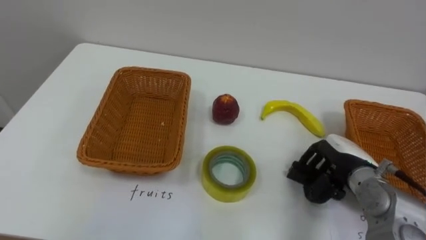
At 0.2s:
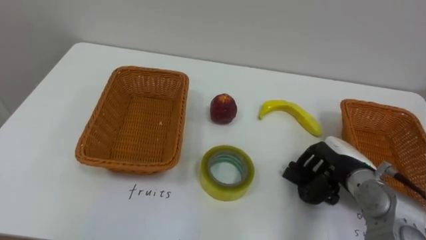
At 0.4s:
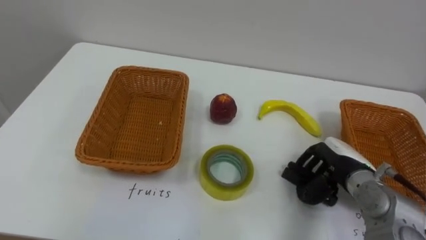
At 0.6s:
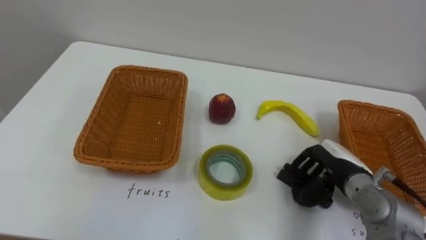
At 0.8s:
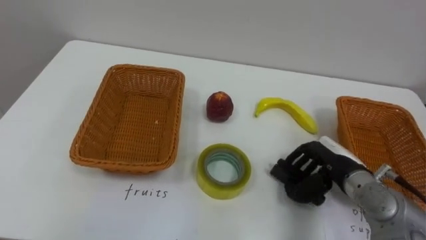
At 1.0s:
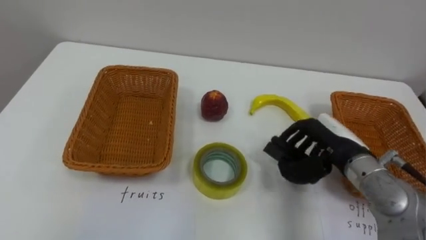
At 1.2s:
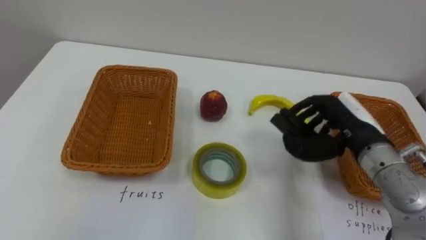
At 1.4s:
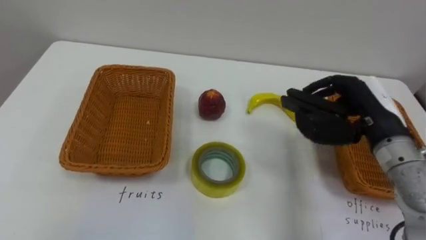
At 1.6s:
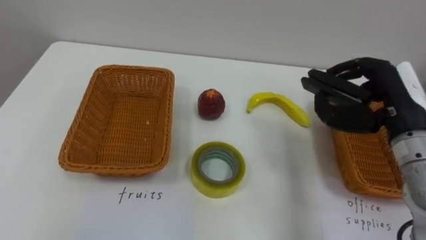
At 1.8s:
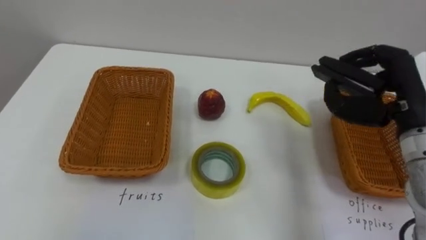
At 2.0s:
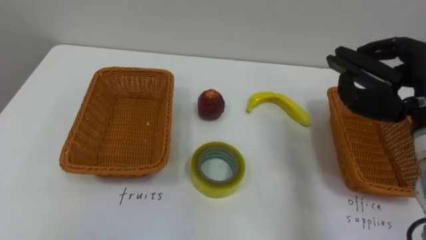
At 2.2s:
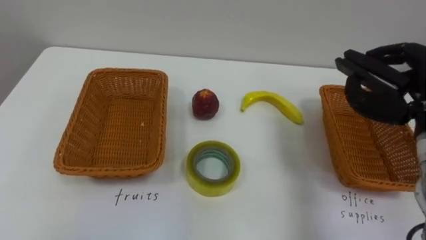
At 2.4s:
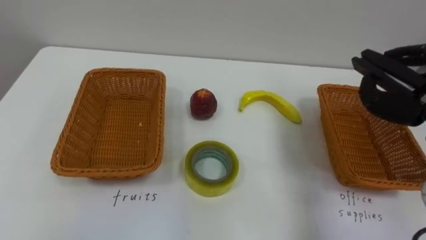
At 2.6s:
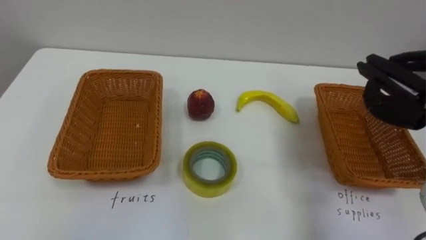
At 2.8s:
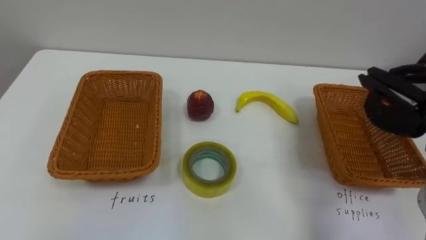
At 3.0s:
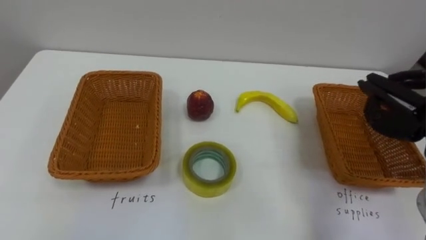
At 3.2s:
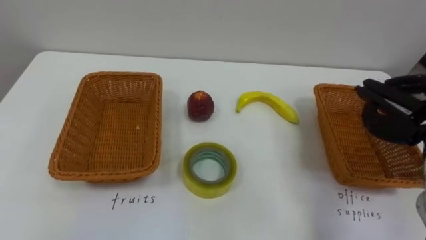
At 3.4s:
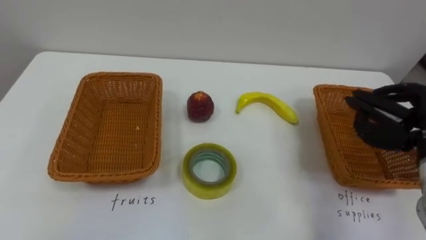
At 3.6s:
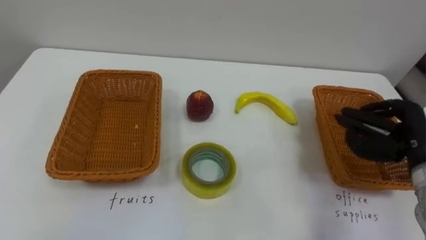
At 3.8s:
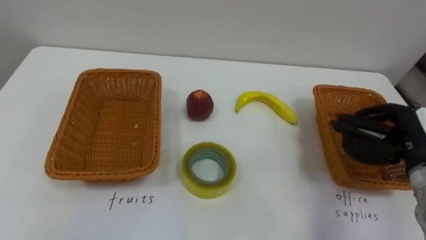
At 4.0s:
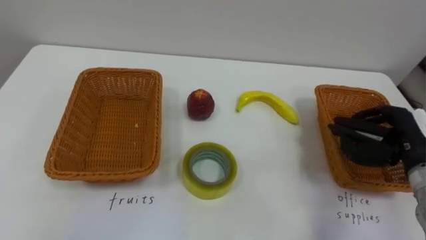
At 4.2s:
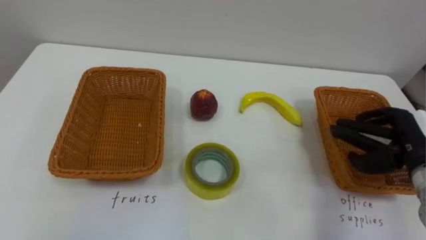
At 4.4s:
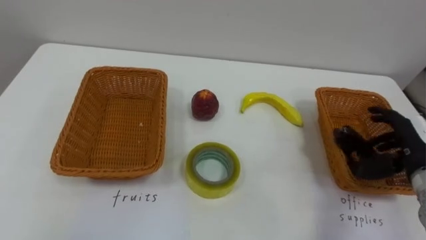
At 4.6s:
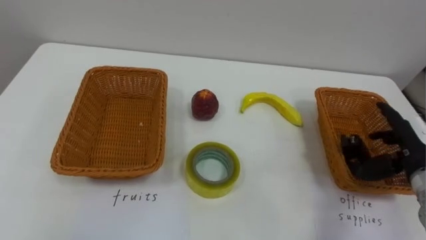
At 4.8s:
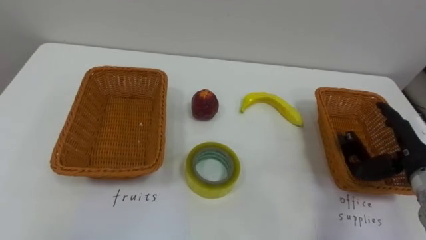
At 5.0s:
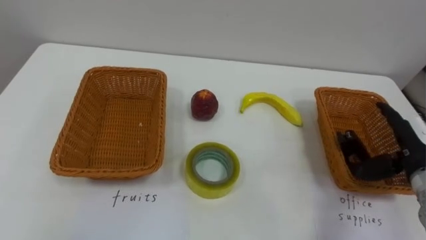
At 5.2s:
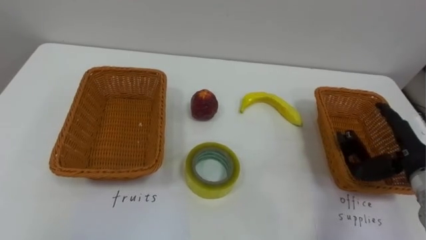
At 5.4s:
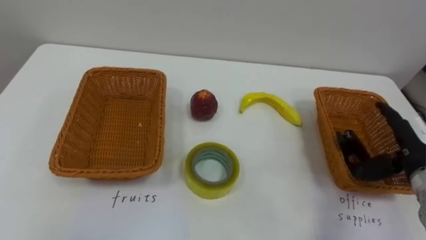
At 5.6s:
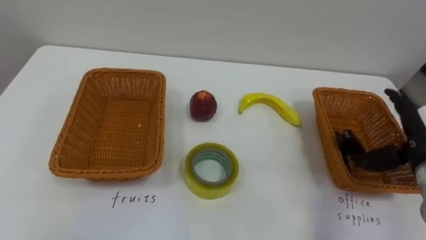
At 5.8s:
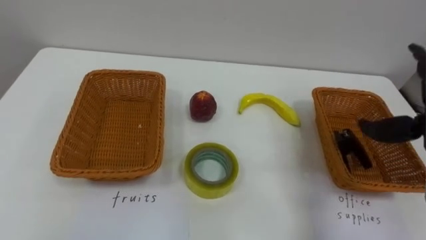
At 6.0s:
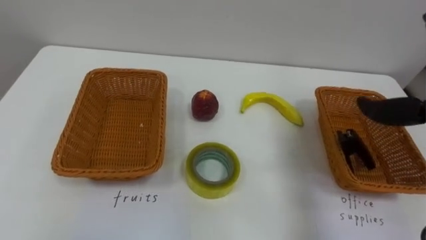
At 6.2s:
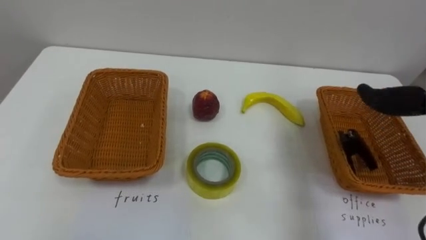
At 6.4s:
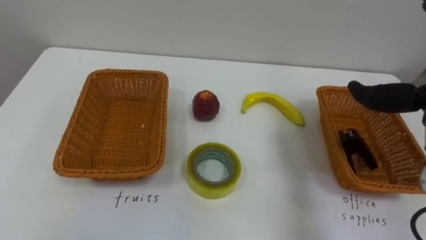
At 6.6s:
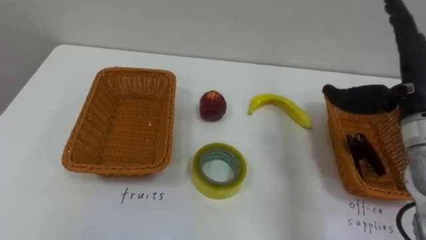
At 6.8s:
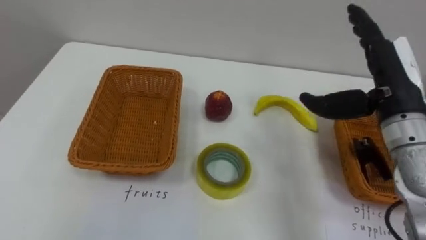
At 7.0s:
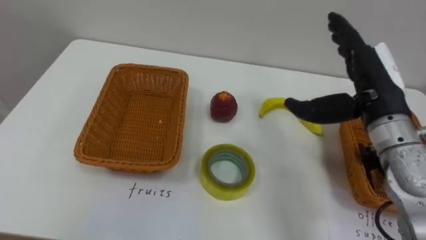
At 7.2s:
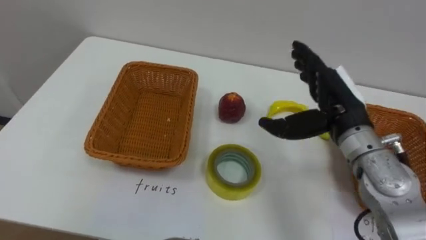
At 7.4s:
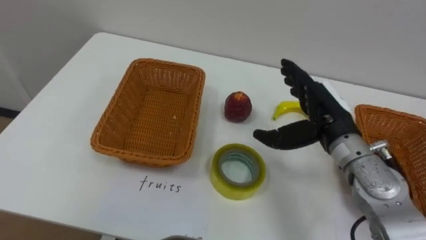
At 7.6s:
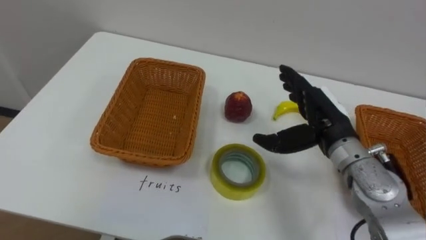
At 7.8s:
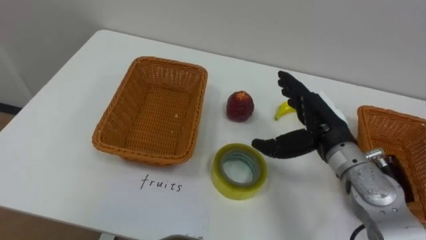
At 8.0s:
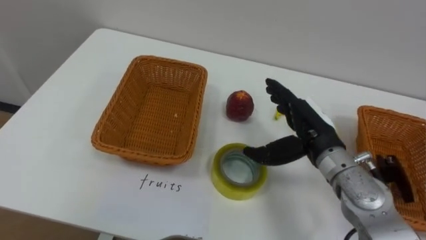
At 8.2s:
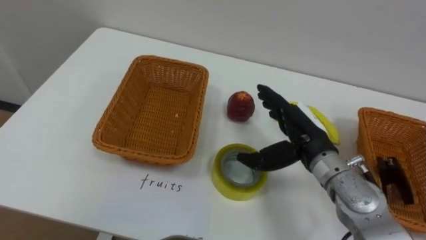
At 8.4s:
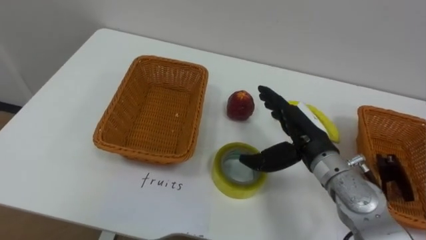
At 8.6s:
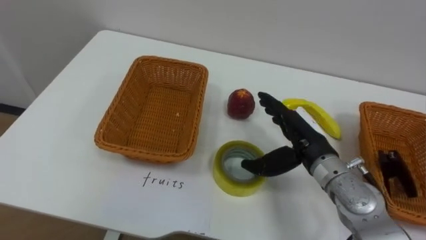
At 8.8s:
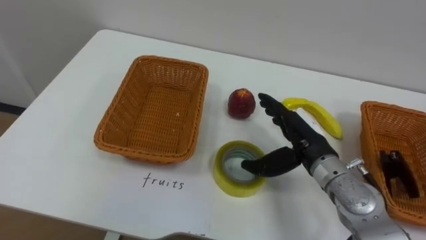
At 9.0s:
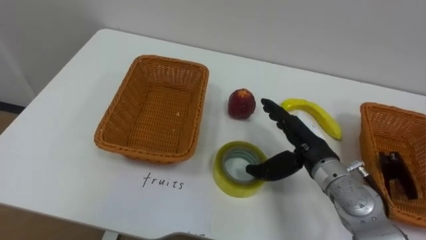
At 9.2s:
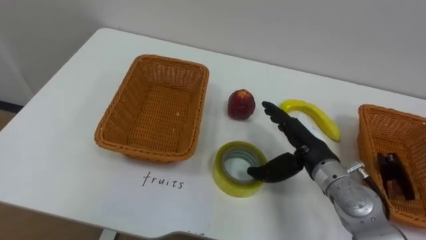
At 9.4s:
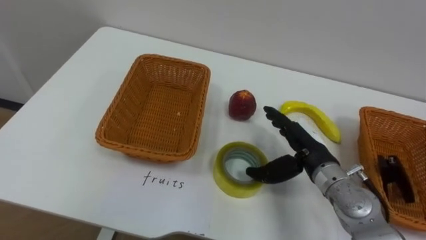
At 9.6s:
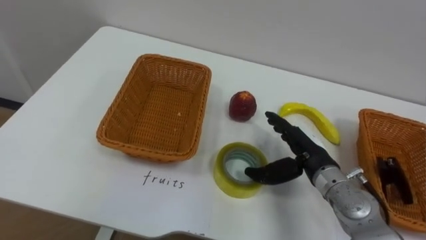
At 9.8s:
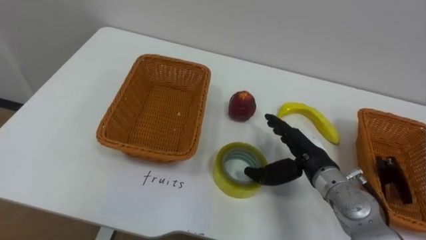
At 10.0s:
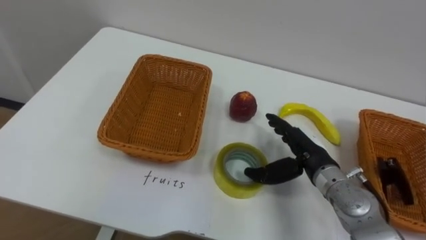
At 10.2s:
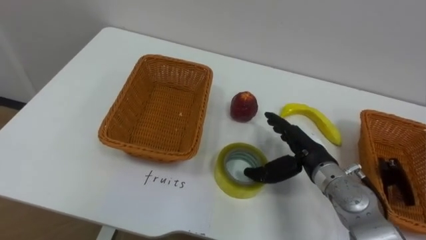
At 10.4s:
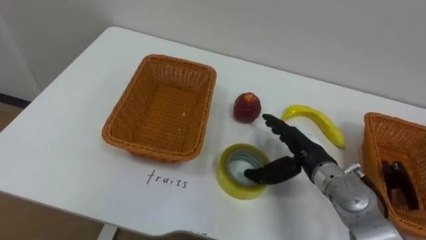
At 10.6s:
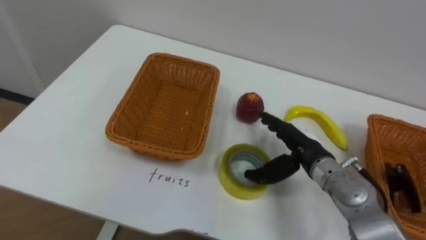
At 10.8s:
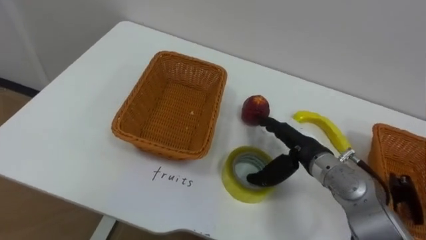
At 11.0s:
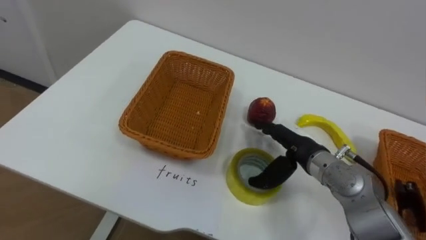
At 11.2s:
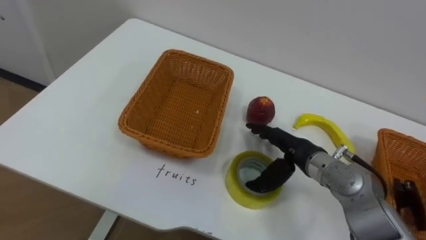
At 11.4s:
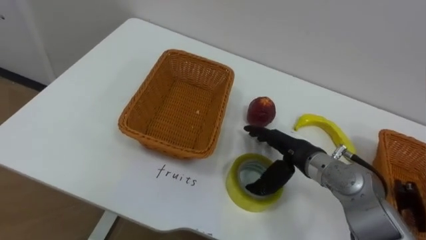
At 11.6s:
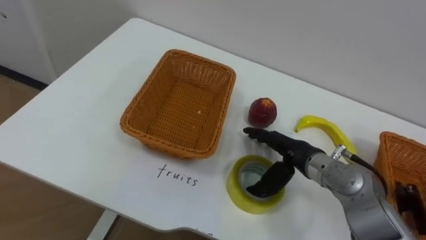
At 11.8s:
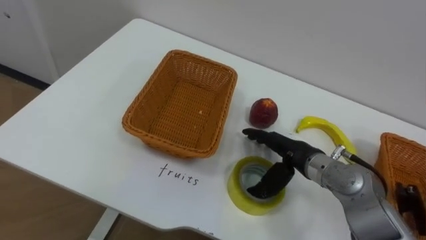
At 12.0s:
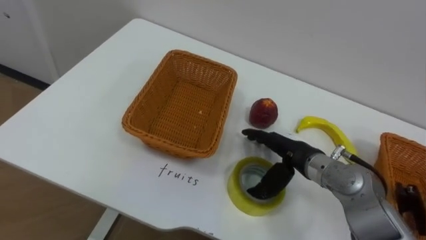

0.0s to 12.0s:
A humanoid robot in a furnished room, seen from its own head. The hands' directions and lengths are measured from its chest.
Task of the whole recording: Separate the items on the table and place them into the two baskets.
0.0s to 1.6s: The right hand is displaced upward by approximately 15 cm.
7.6s to 9.0s: The right hand changes place by roughly 5 cm.

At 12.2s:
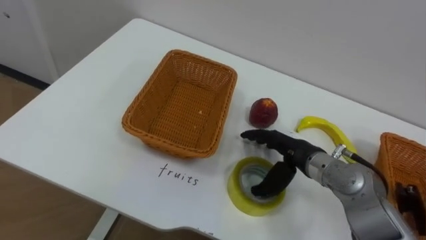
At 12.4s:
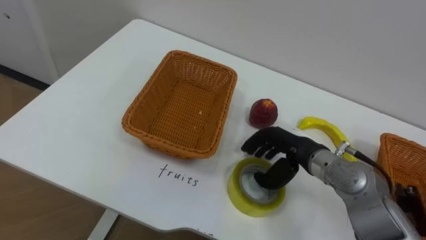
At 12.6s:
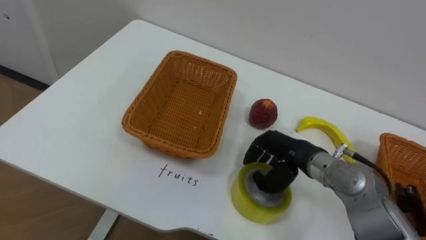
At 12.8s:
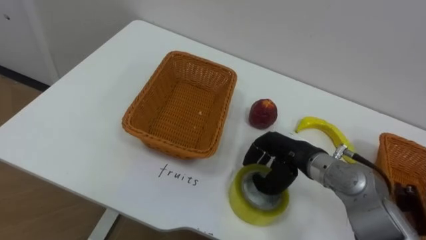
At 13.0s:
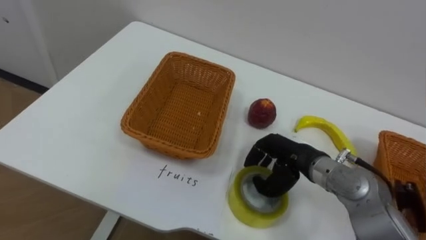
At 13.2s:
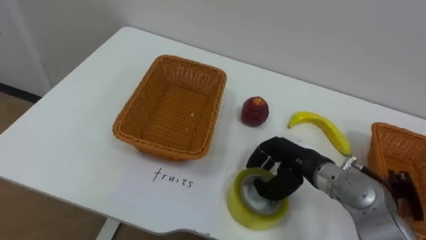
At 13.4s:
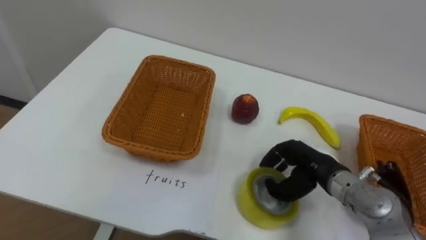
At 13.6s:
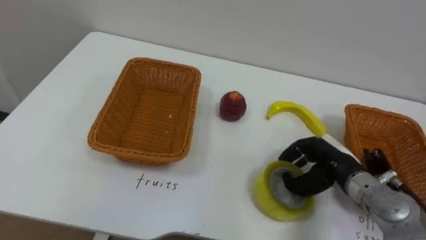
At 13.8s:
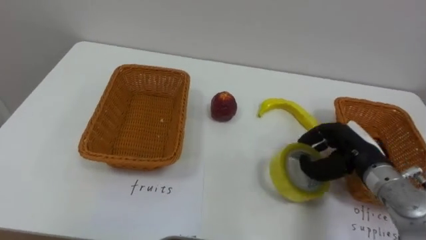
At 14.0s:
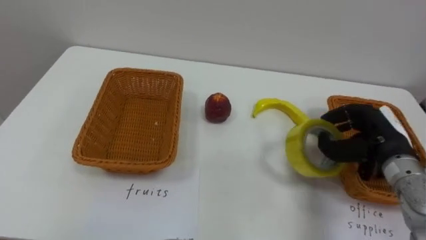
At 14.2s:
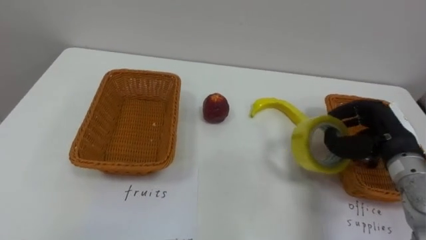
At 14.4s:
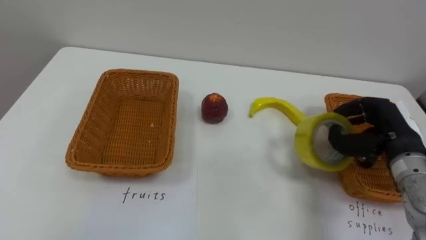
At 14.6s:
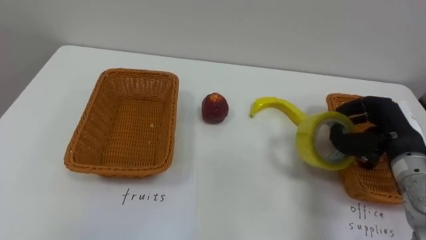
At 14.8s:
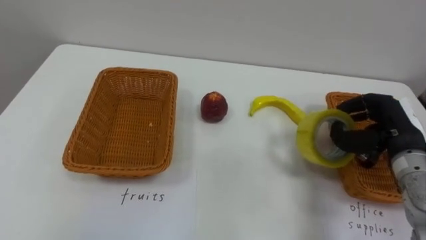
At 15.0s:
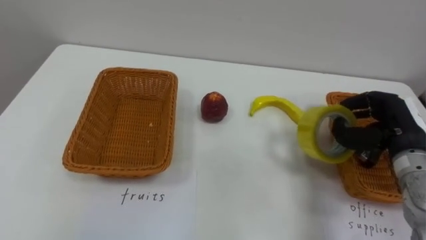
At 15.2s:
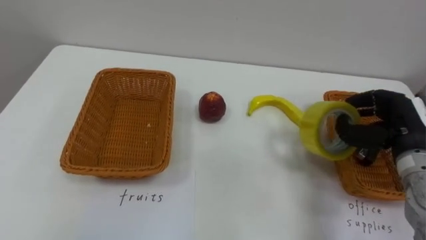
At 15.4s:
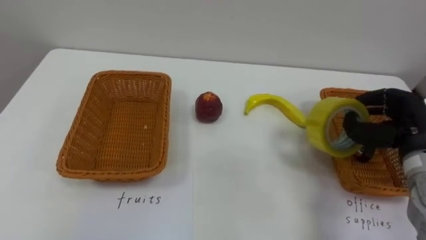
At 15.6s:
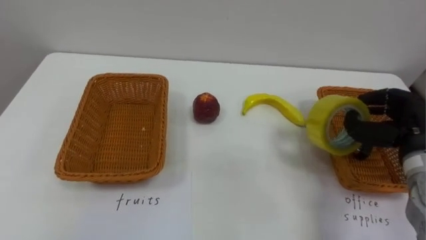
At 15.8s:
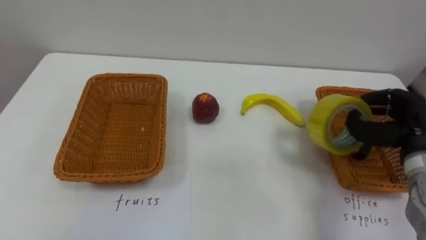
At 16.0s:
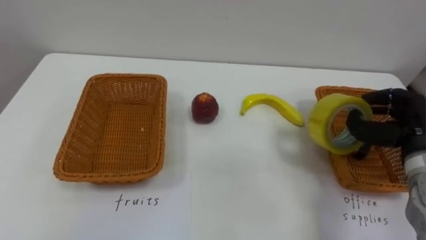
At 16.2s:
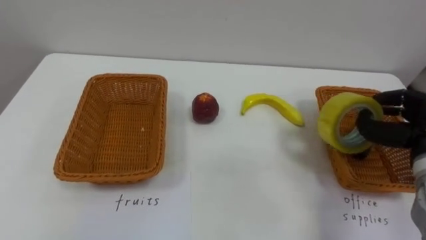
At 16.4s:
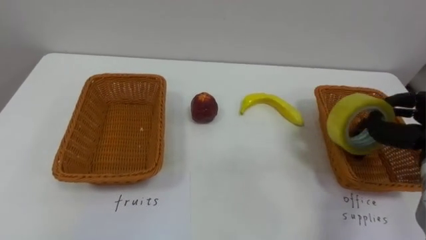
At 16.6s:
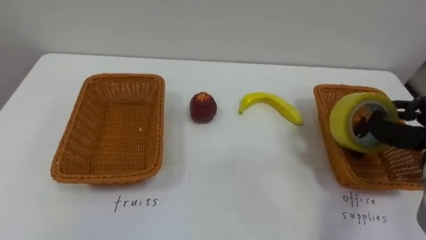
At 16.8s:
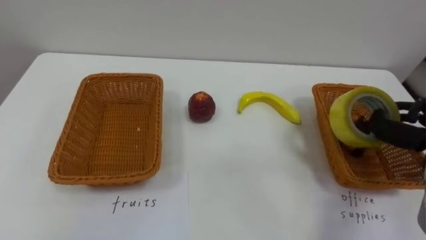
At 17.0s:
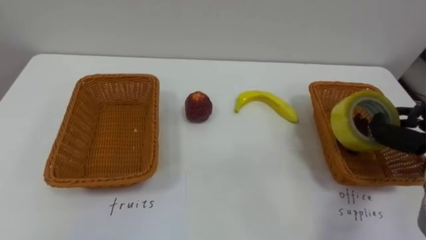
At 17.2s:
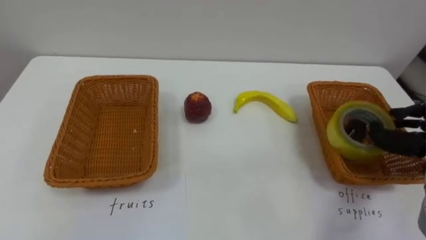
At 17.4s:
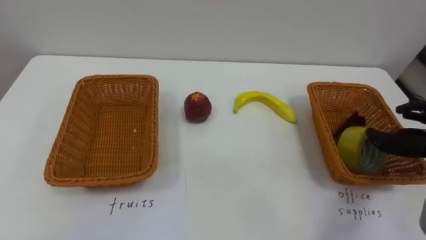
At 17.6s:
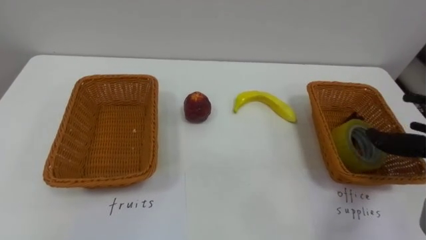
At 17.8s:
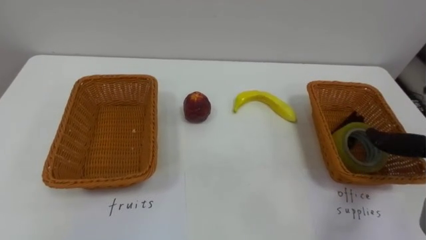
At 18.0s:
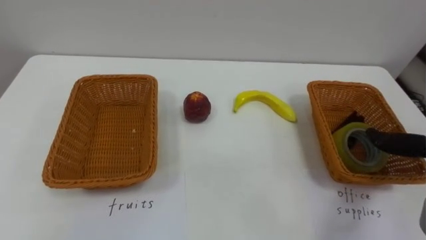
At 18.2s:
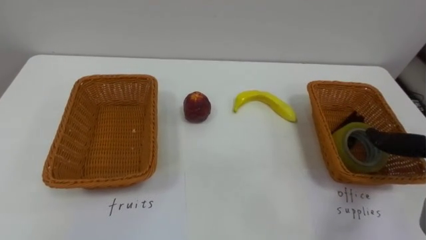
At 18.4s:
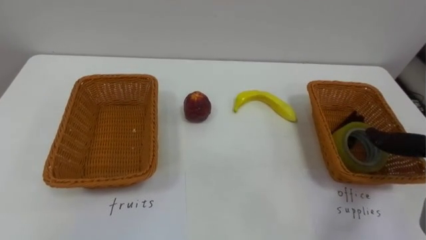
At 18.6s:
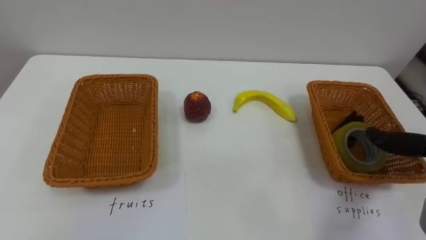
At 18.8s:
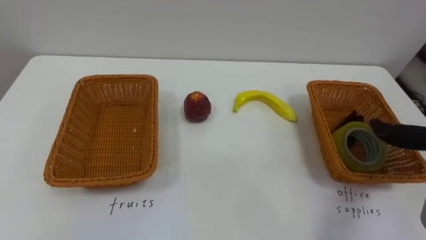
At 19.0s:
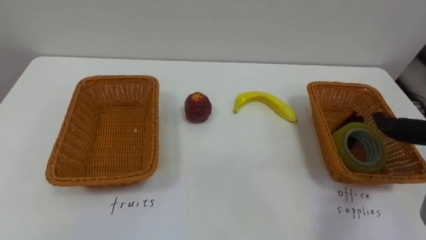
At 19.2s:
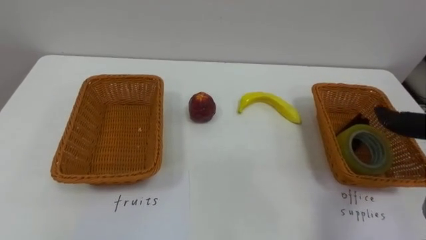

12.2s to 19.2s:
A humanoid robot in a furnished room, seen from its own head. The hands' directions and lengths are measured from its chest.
Task of the whole recording: Separate the items on the table and place them into the two baskets.
12.2s to 13.6s: The right hand goes approximately 10 cm to the right, and closes.
13.6s to 15.0s: The right hand moves to the right and upward, approximately 10 cm.
